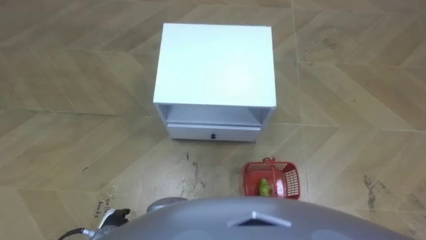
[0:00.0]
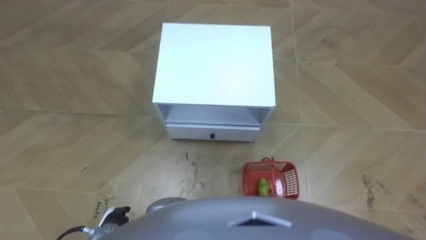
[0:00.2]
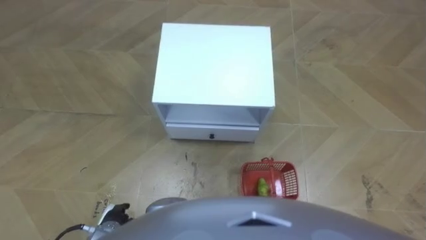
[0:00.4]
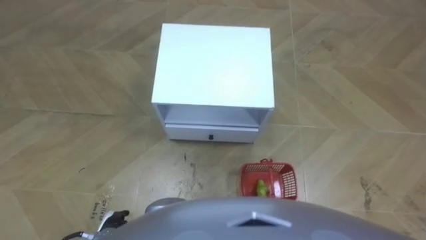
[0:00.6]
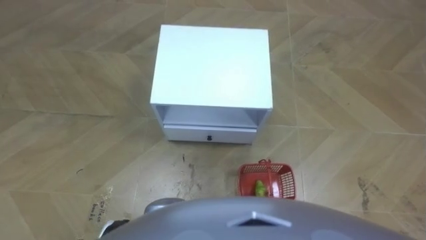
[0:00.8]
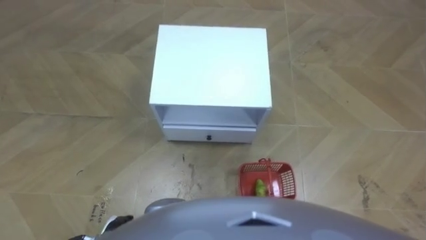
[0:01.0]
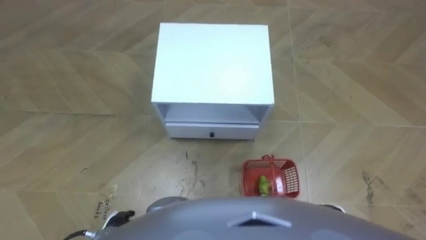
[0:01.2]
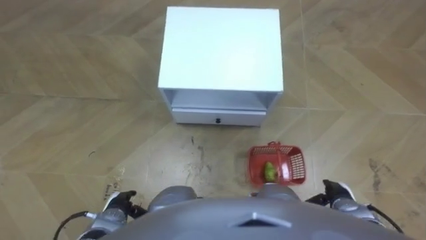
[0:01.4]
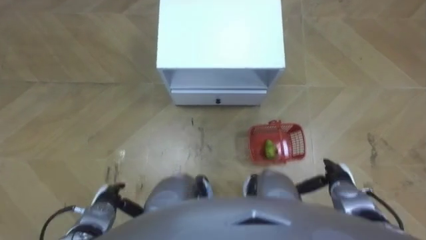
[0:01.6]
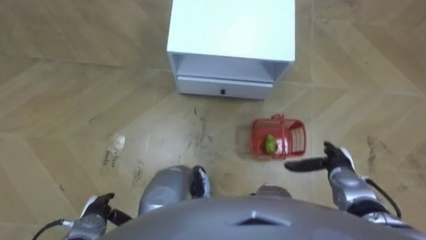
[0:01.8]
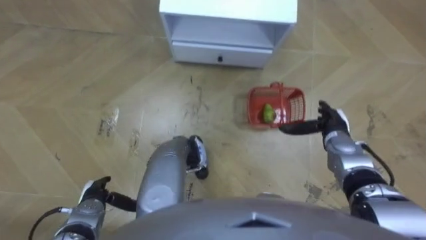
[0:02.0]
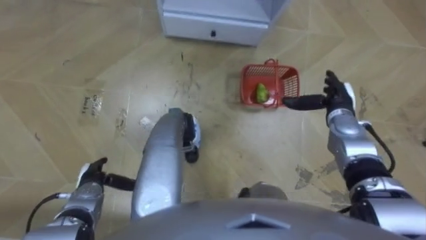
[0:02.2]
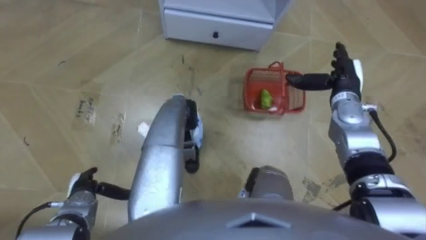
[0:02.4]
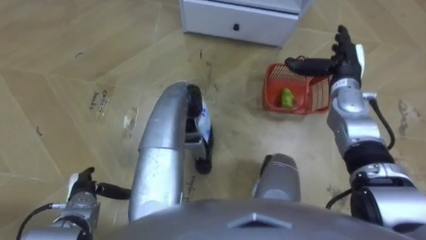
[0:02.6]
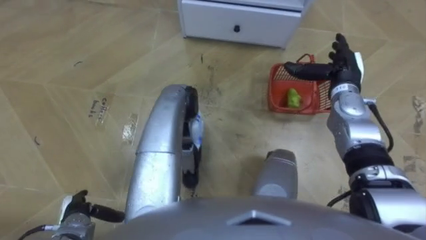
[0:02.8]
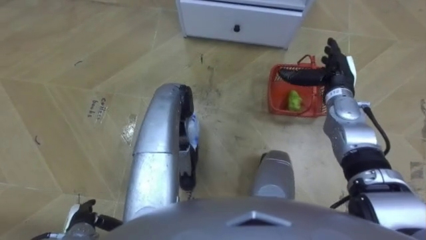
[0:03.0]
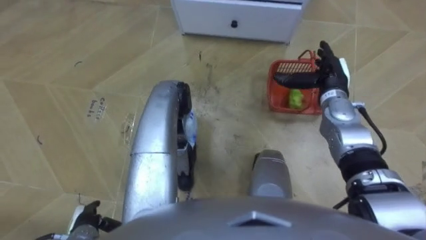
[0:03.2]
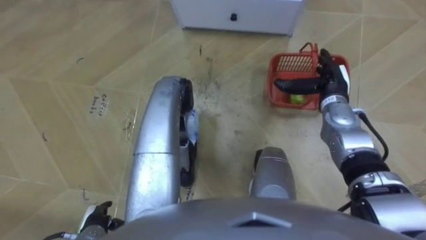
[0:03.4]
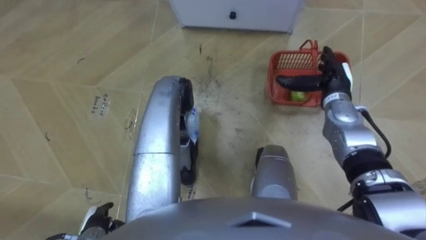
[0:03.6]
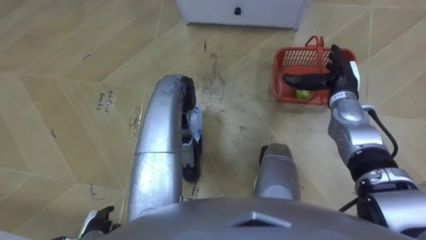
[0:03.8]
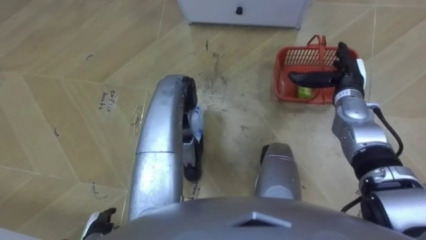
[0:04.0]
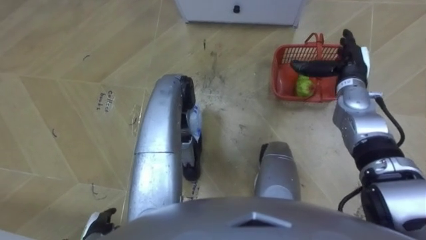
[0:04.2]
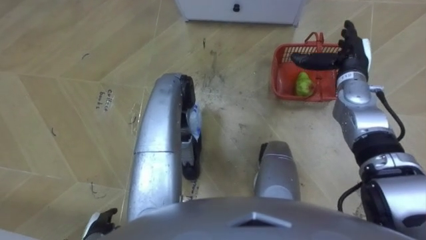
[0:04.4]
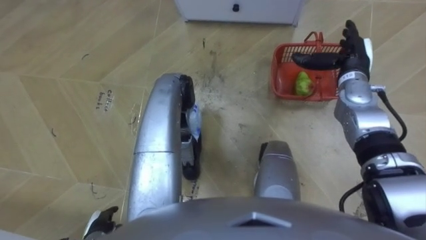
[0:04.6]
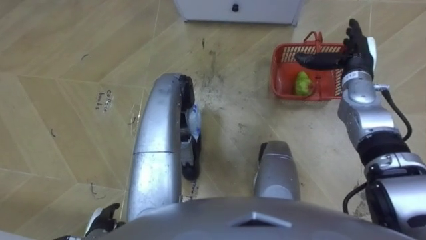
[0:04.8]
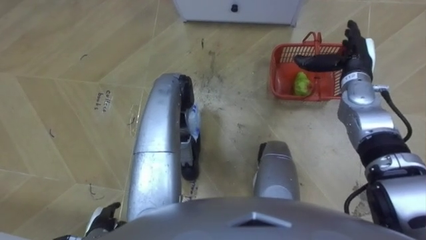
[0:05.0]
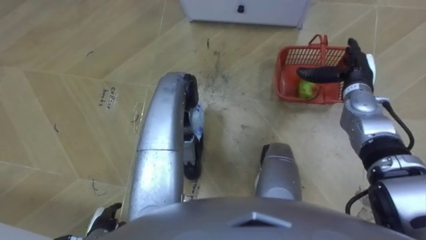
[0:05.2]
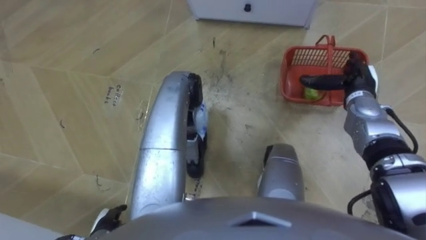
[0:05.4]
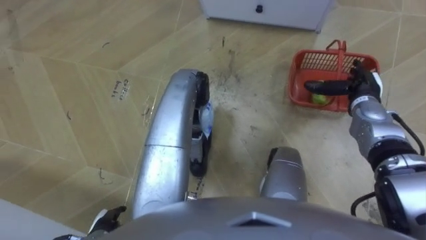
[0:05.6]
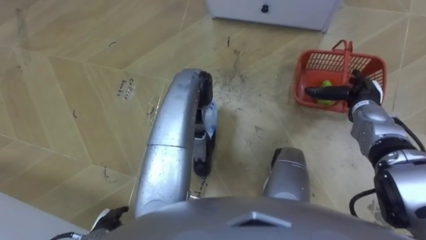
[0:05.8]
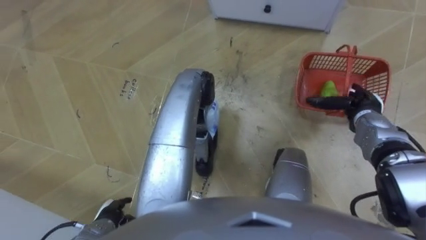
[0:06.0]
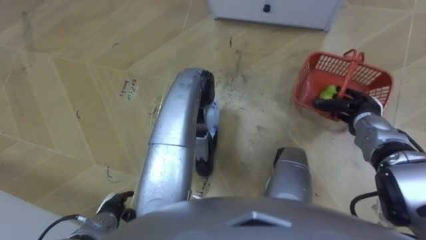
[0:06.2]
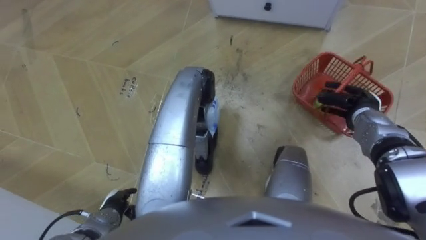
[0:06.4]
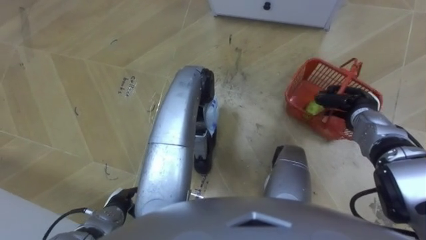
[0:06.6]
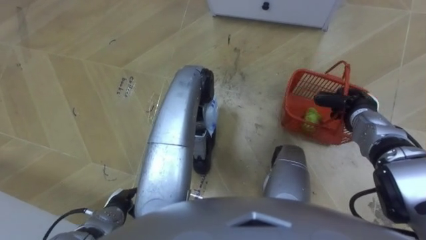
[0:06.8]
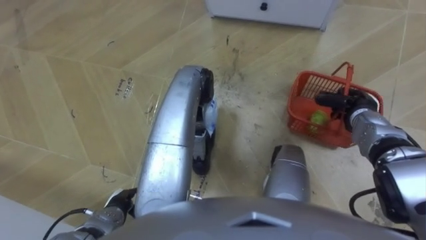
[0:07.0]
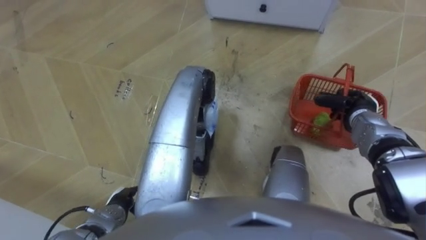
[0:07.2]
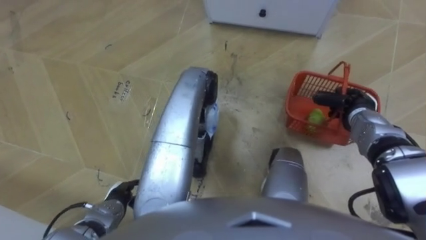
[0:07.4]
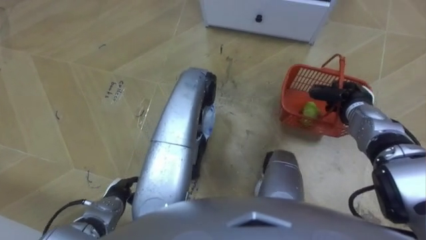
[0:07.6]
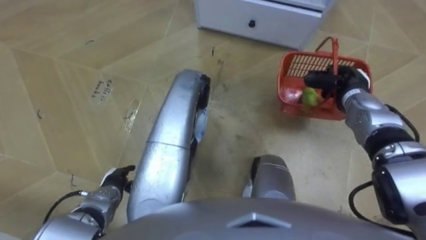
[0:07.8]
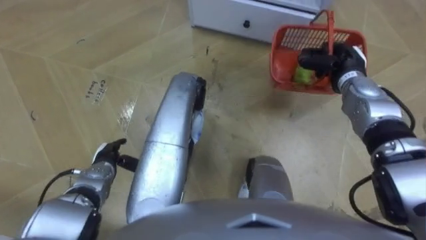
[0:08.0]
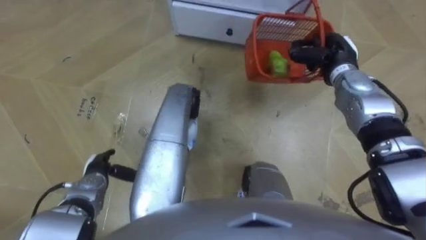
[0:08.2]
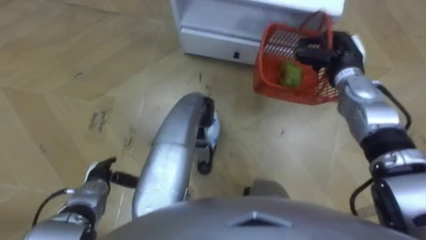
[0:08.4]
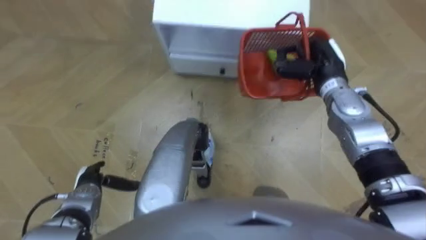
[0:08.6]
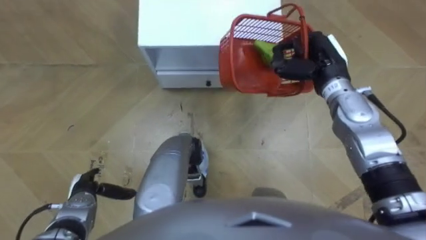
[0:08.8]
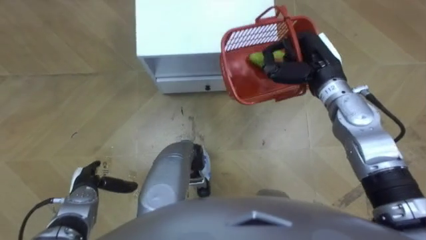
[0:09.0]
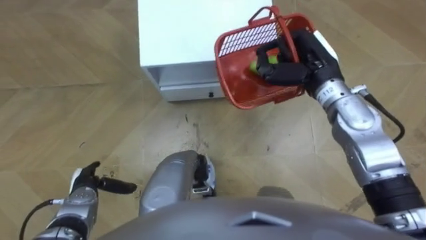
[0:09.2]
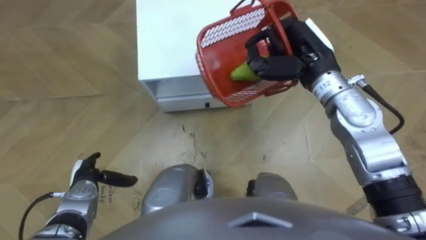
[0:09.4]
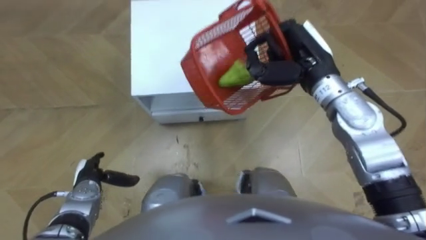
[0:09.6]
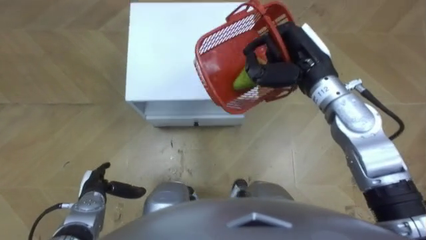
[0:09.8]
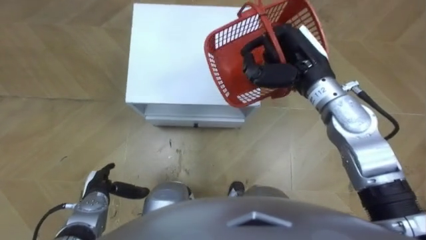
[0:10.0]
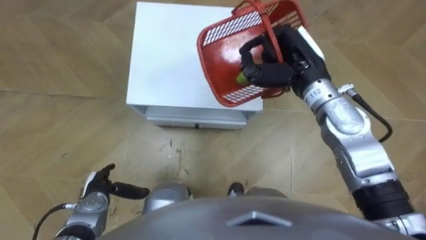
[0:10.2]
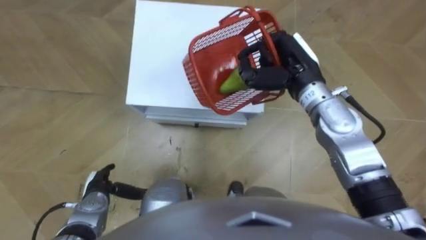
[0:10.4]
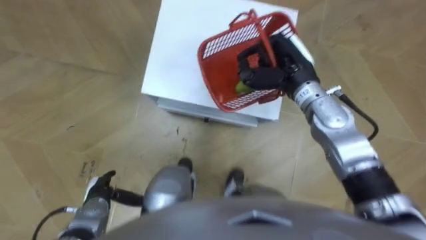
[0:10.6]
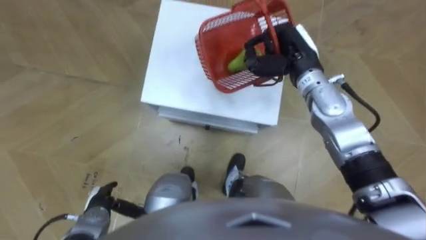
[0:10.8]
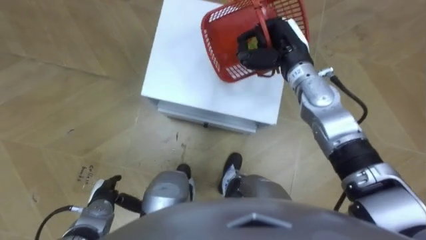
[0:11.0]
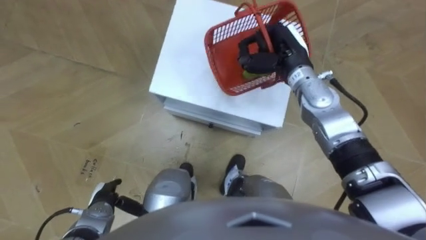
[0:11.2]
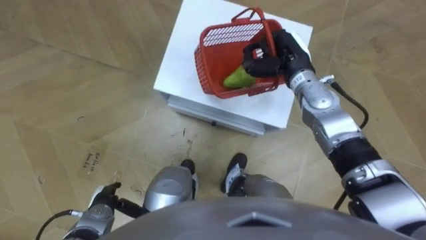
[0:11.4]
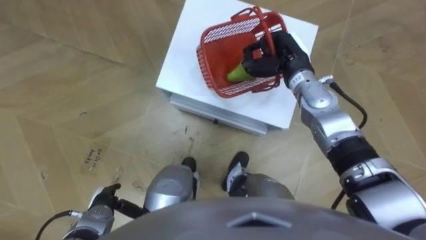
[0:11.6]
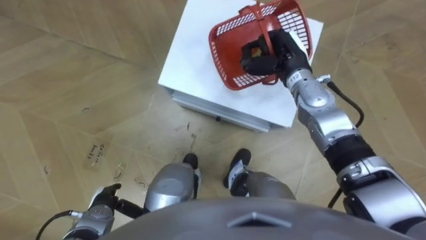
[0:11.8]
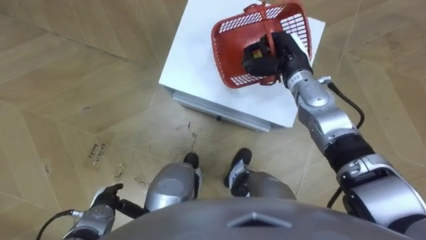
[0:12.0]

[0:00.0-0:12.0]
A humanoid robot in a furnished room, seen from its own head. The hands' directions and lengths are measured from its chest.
Task of the whole recording: Pick up the fruit basket from the floor and place it on the cabinet.
0:01.6 to 0:03.0: The right hand moves forward and upward, approximately 25 cm. Meanwhile the left hand shifts some 5 cm to the left.
0:04.4 to 0:06.0: The right hand heads downward and backward, covering approximately 10 cm.
0:06.0 to 0:07.6: The left hand shifts approximately 5 cm forward, while the right hand closes its fingers.
0:07.6 to 0:09.0: The robot turns to its right by about 15 degrees. The left hand is displaced to the left by approximately 5 cm, and travels forward and back again, approximately 10 cm each way. Meanwhile the right hand is displaced upward and to the left by some 15 cm.
0:09.0 to 0:10.4: The right hand shifts by roughly 5 cm.
0:10.4 to 0:12.0: The right hand heads downward, covering some 5 cm.

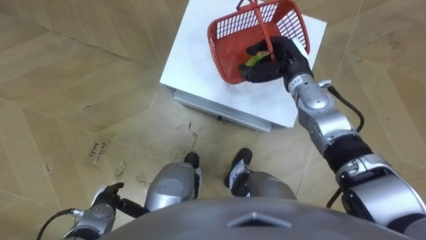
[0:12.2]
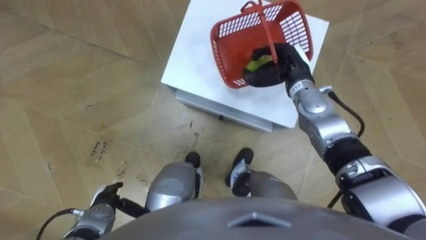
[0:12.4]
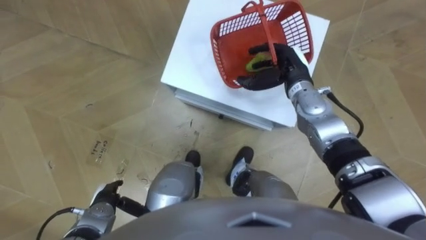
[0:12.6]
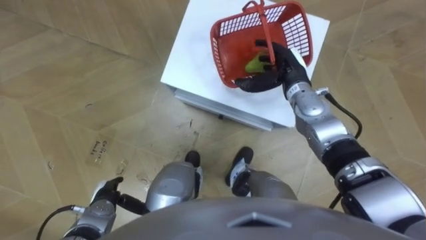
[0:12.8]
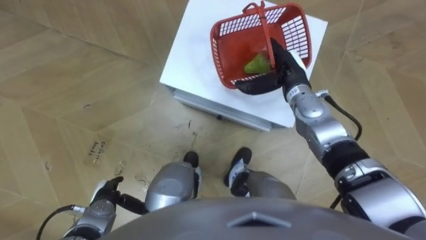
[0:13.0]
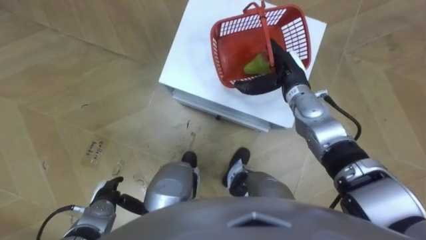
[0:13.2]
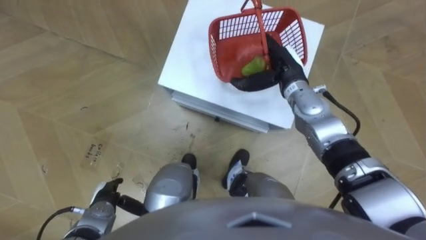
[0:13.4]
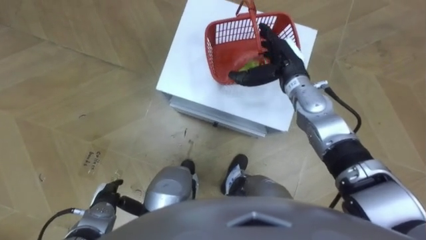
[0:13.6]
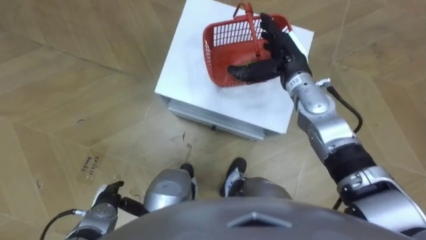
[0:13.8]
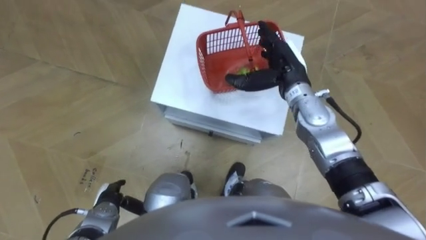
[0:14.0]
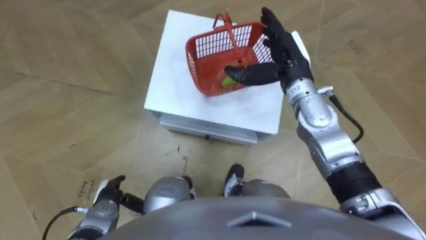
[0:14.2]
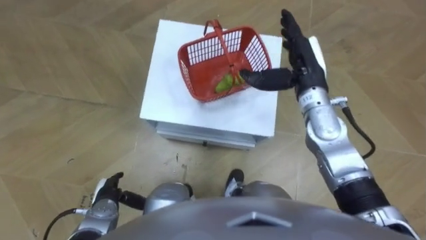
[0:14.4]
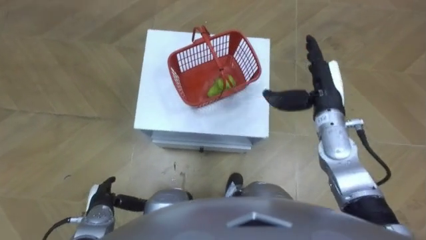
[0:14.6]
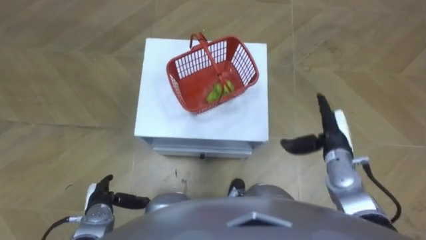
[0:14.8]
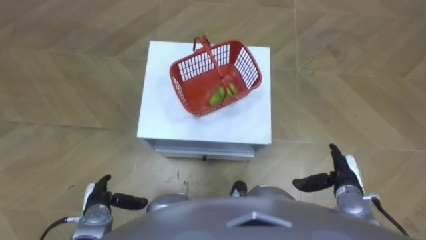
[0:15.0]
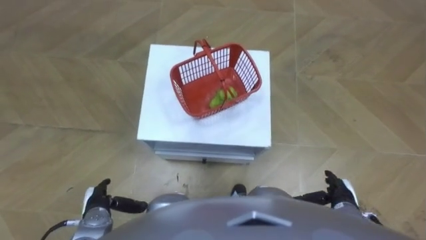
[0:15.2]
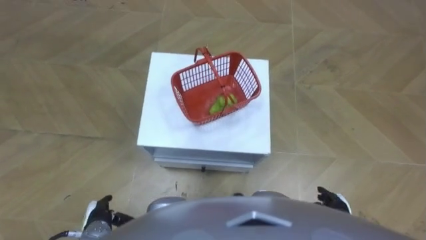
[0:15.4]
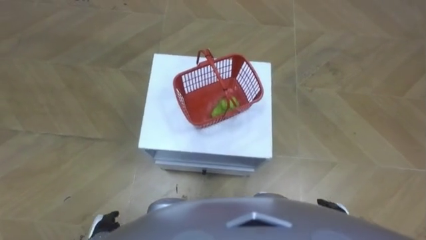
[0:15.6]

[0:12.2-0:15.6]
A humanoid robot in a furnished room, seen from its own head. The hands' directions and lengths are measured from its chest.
Task of the whole recording: Pick up the fruit basket from the floor and place it on the cabinet.
0:12.2 to 0:13.8: The right hand opens.
0:13.8 to 0:15.6: The right hand moves backward, downward and to the right, roughly 40 cm. The left hand goes approximately 5 cm backward.

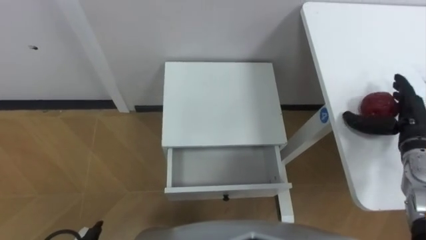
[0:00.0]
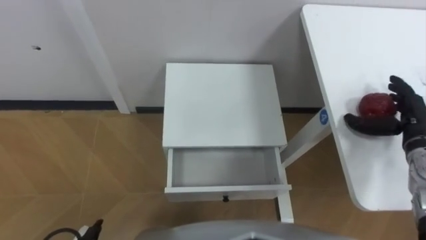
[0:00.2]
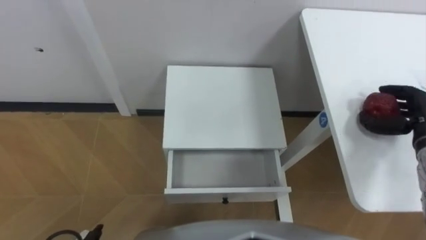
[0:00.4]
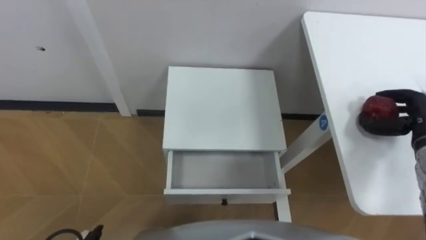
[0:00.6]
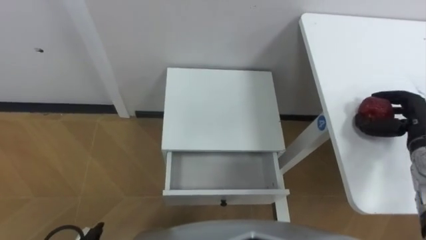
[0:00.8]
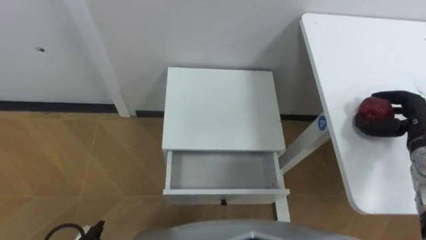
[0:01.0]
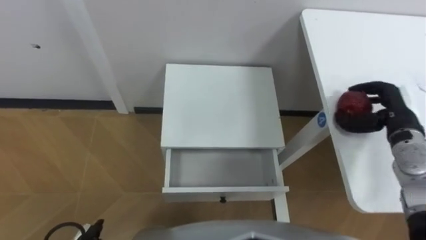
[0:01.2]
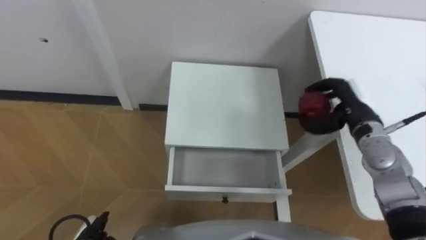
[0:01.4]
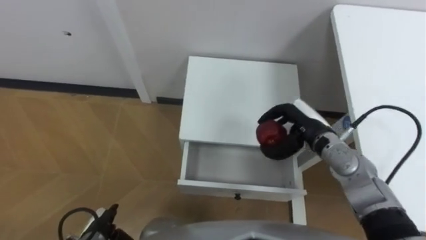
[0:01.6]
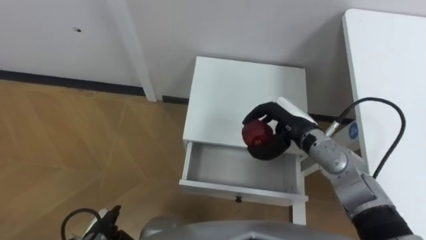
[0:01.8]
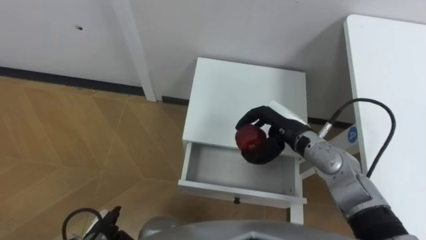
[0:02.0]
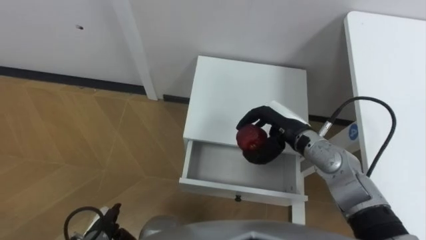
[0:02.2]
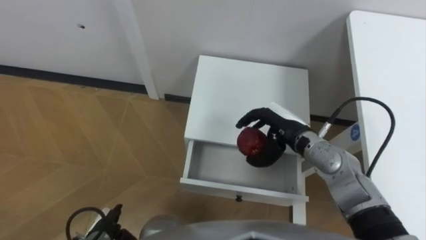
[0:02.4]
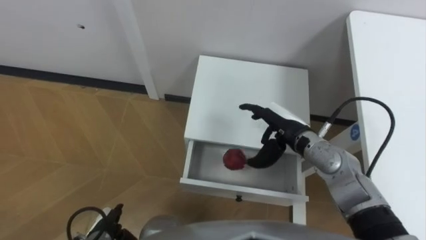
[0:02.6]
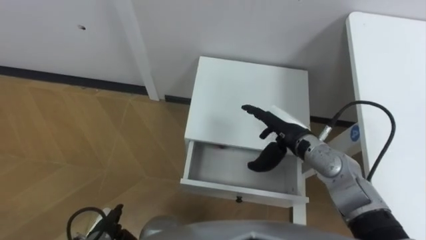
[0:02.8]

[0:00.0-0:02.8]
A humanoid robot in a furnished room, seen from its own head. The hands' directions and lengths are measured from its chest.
Task of the whole recording: Pick up the apple from the table, put it in the drawer, and close the drawer with leg.
0:00.0 to 0:01.4: The right hand heads to the left, covering about 10 cm, and closes up.
0:01.4 to 0:02.8: The right hand heads to the left, covering approximately 15 cm, and opens up.
